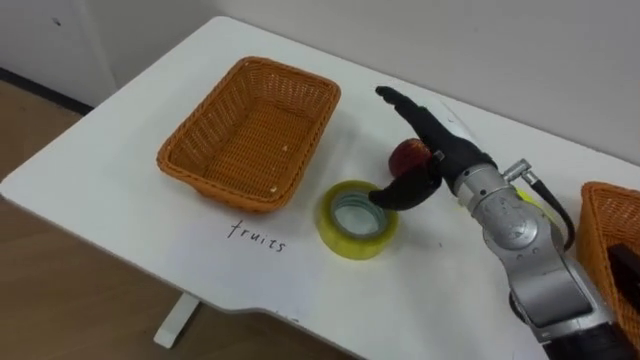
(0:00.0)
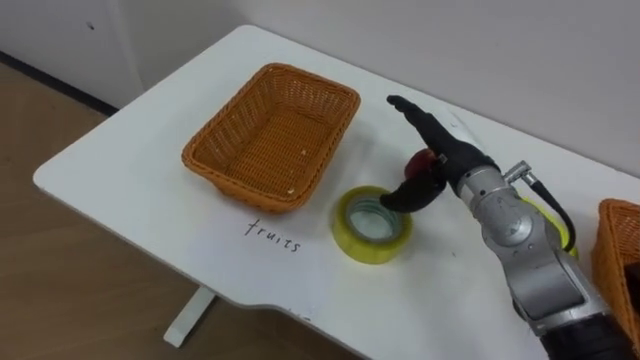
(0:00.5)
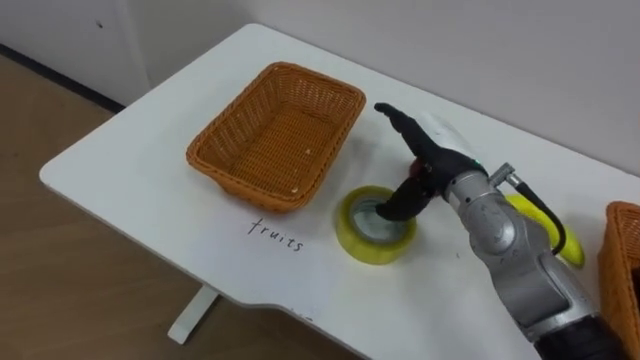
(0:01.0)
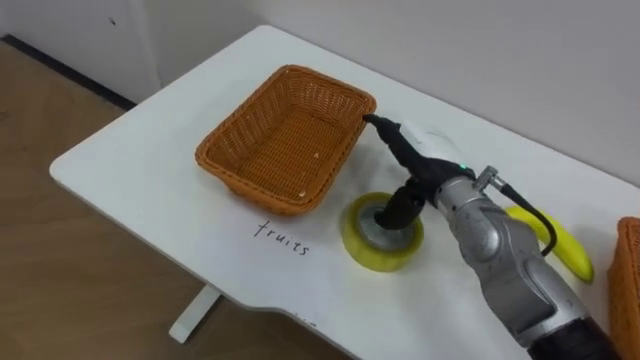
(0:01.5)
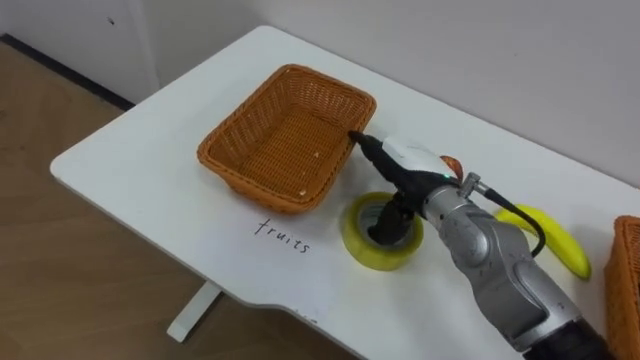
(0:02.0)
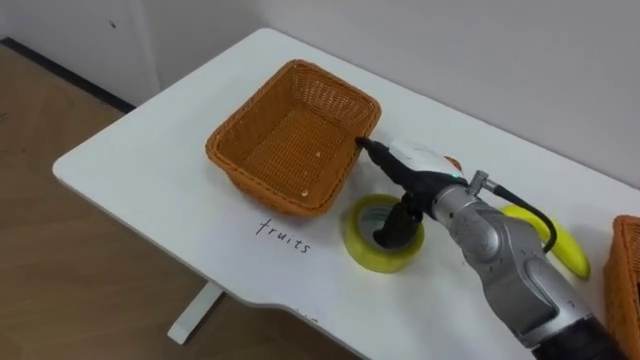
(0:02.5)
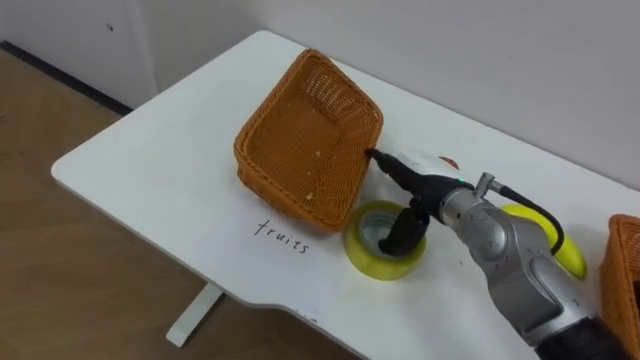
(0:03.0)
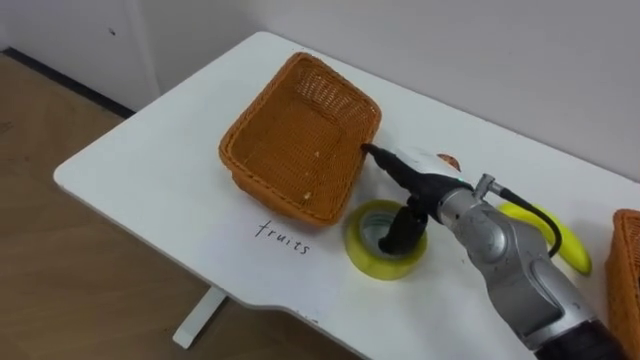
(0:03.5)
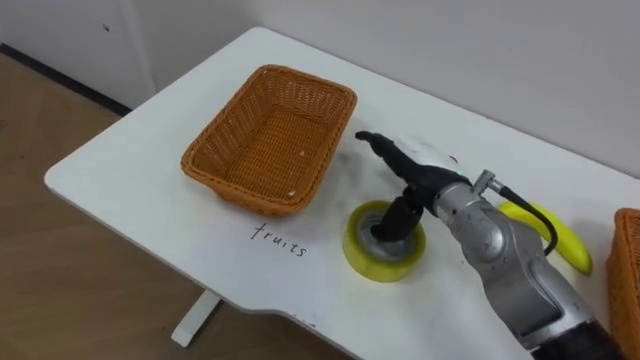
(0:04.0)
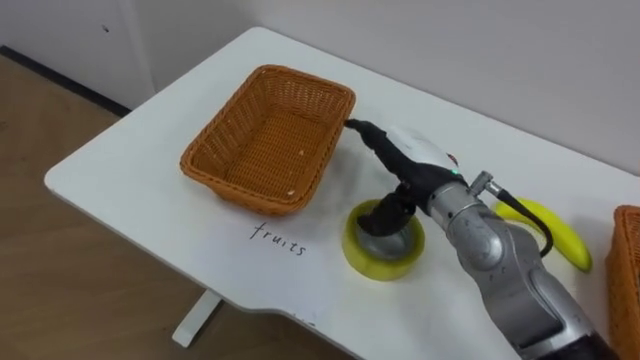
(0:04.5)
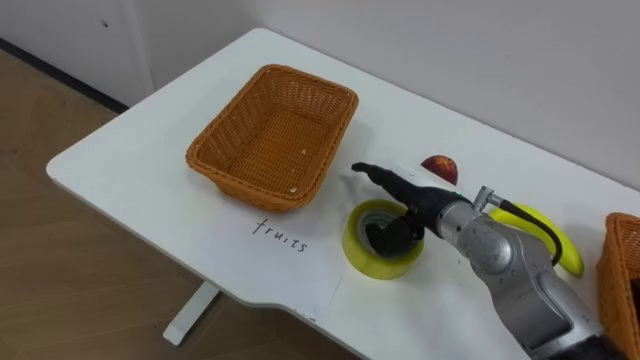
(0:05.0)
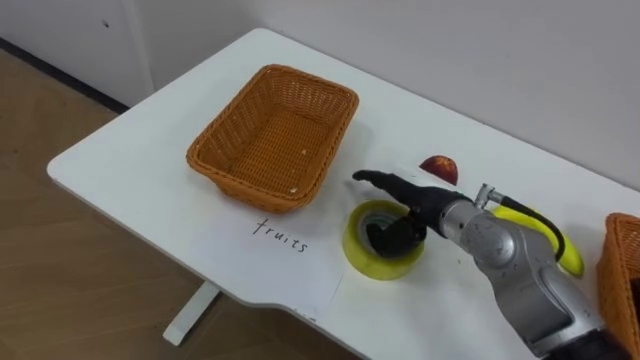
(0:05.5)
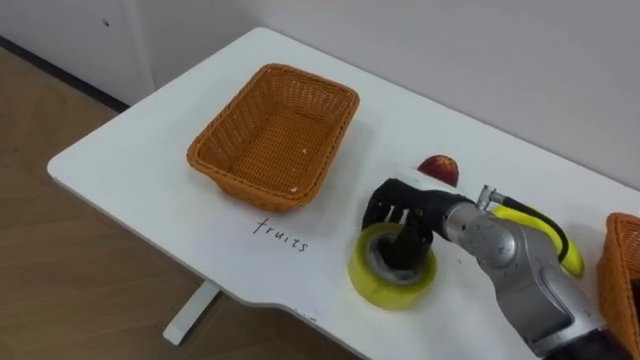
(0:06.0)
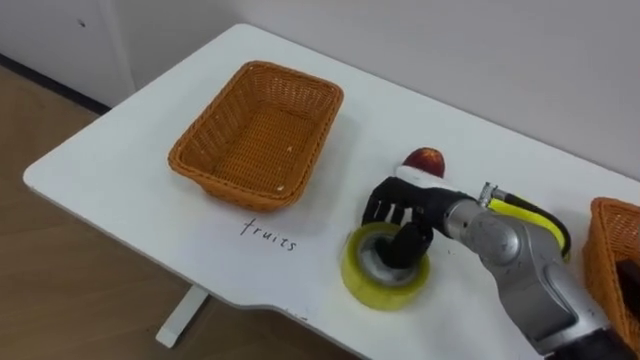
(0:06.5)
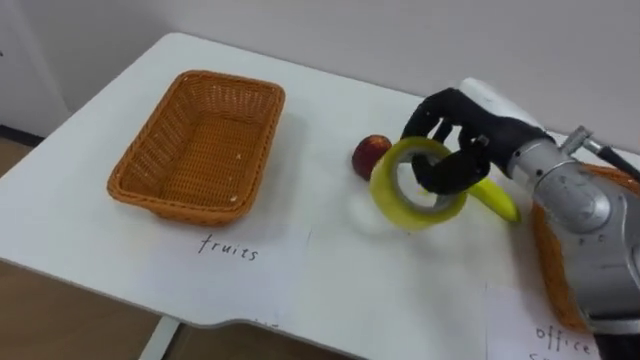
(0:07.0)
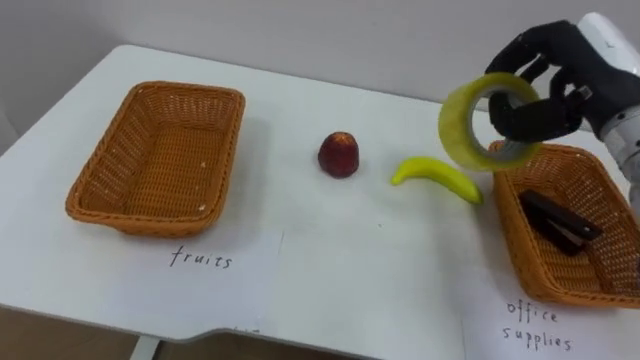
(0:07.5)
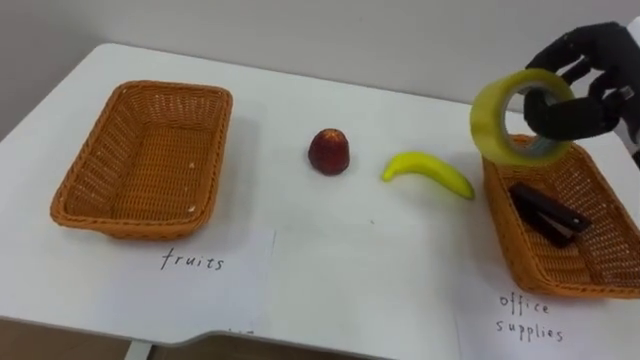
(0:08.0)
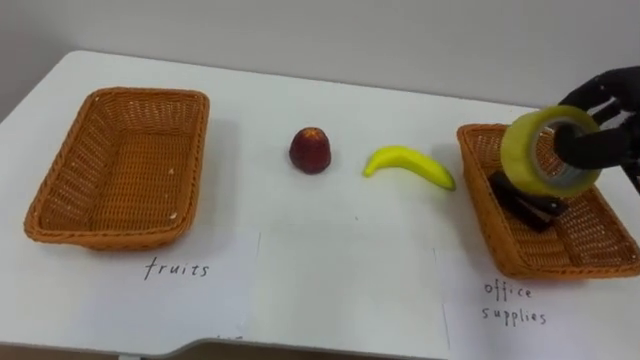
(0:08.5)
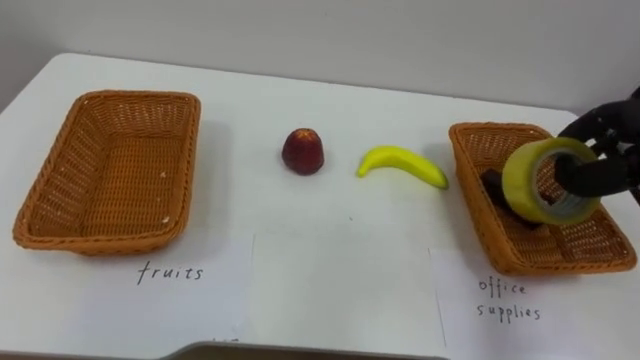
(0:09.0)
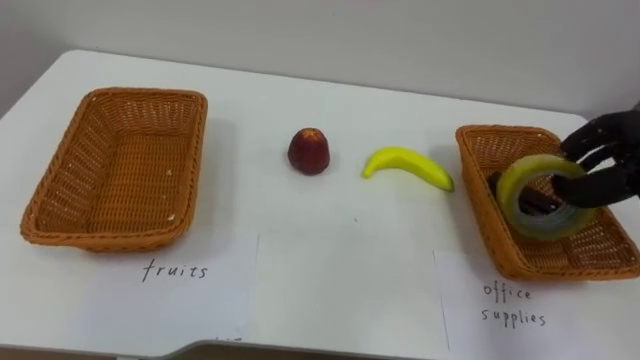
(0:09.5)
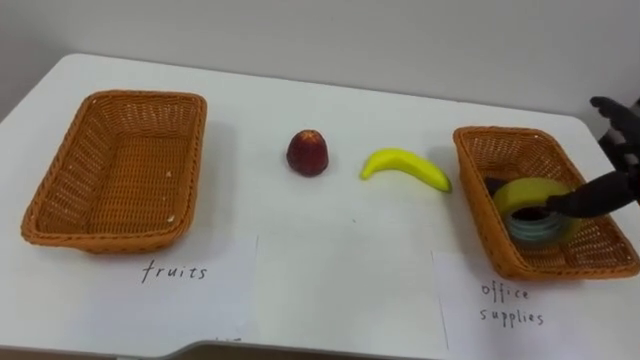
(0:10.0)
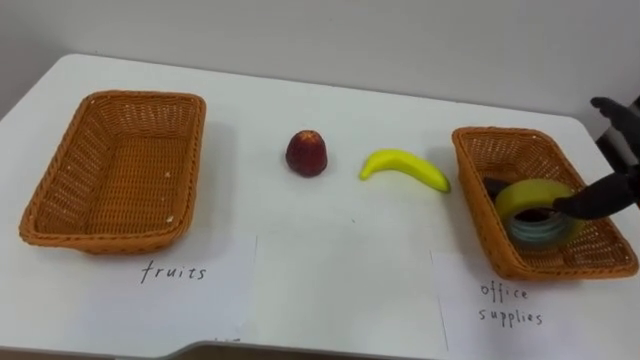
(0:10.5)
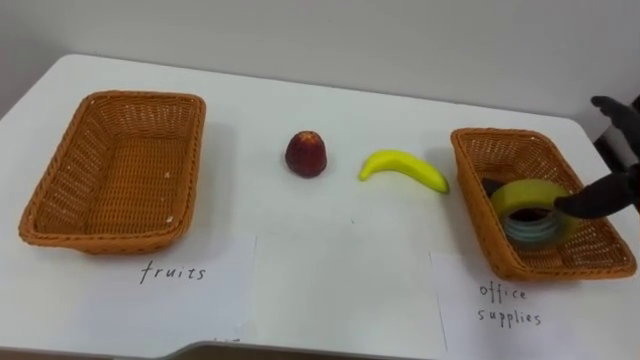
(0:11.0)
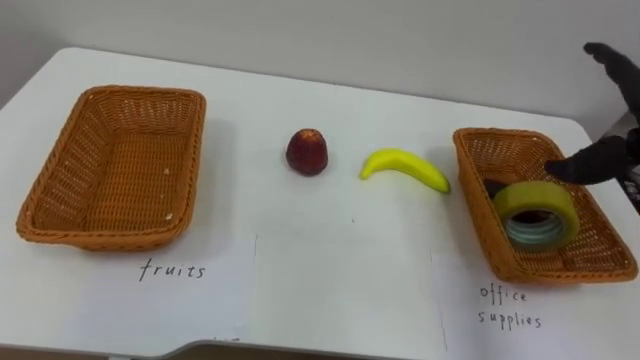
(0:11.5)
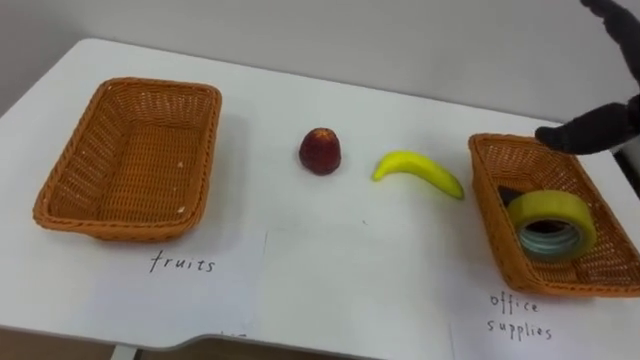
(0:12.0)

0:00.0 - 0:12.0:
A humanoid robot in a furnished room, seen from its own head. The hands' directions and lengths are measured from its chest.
Task of the whole recording: Separate the items on the table and place them into the two baskets.
0:00.0 - 0:02.0: The right hand moves roughly 5 cm.
0:04.0 - 0:06.0: The right hand closes up.
0:06.0 - 0:08.0: The right hand heads to the right and upward, covering approximately 25 cm.

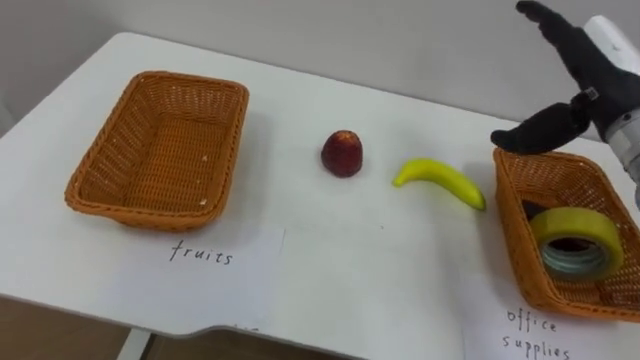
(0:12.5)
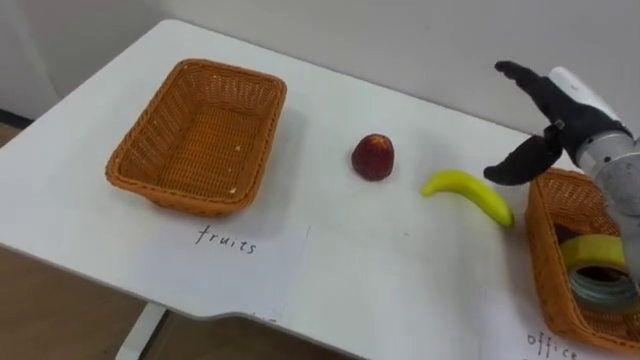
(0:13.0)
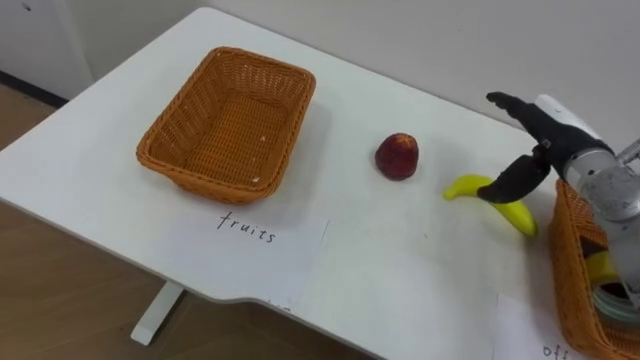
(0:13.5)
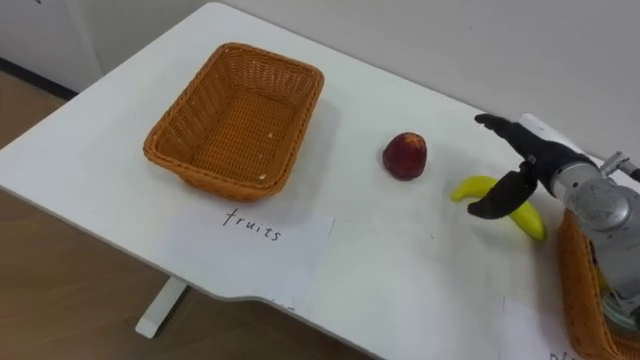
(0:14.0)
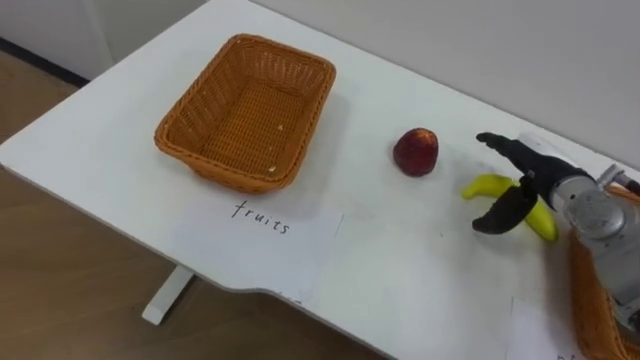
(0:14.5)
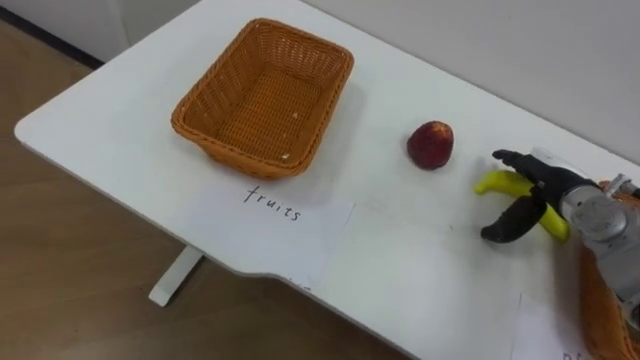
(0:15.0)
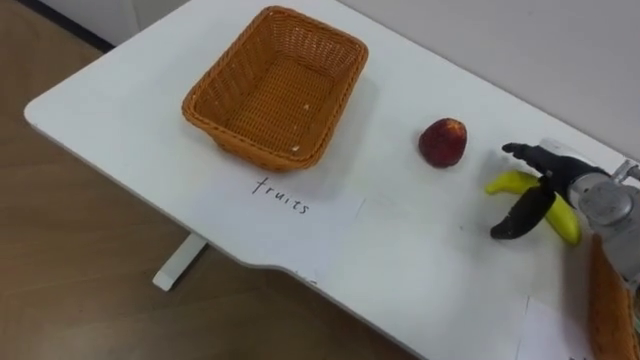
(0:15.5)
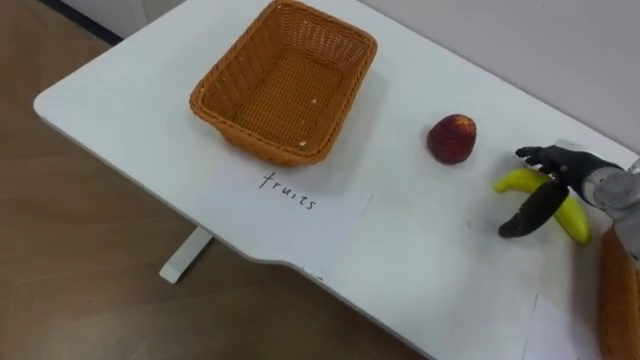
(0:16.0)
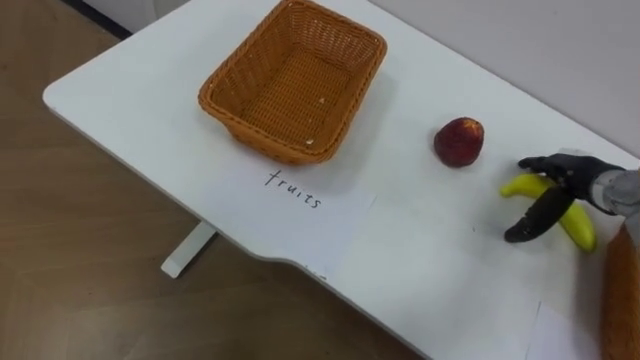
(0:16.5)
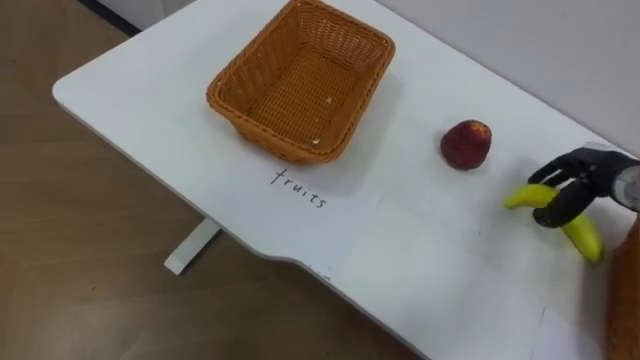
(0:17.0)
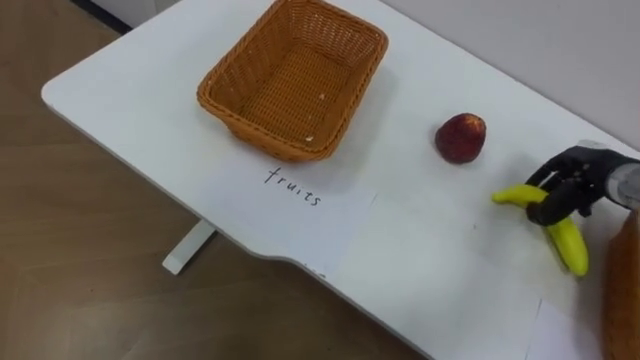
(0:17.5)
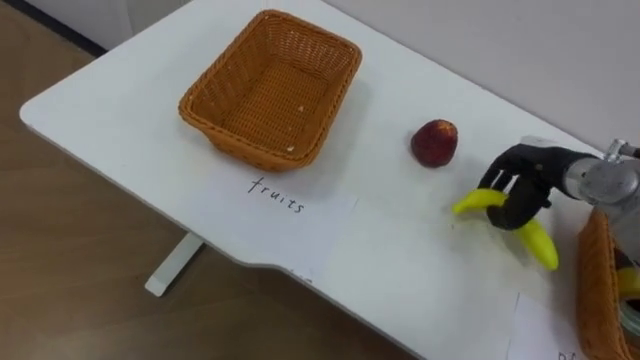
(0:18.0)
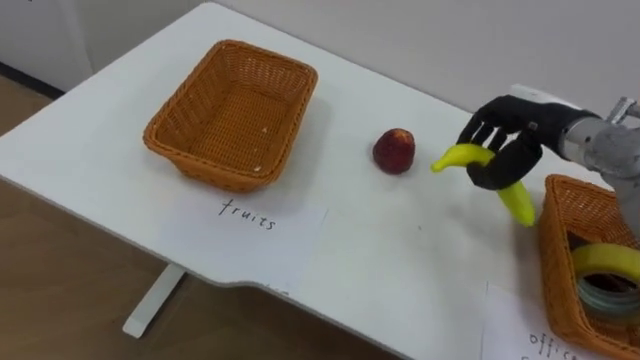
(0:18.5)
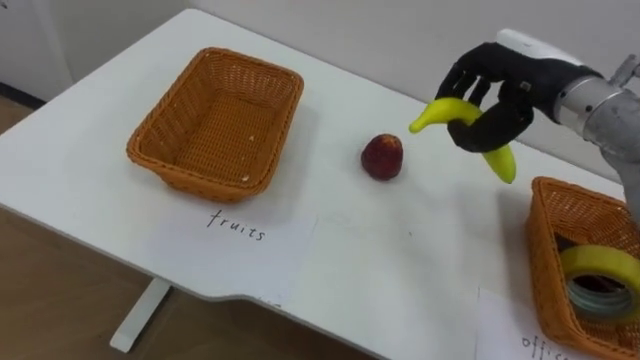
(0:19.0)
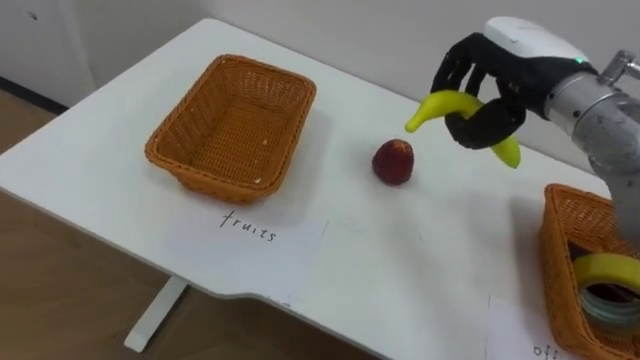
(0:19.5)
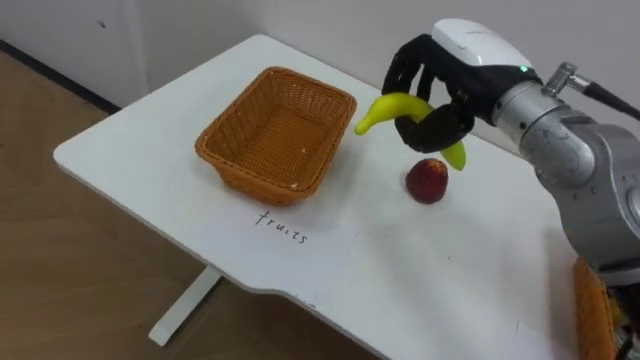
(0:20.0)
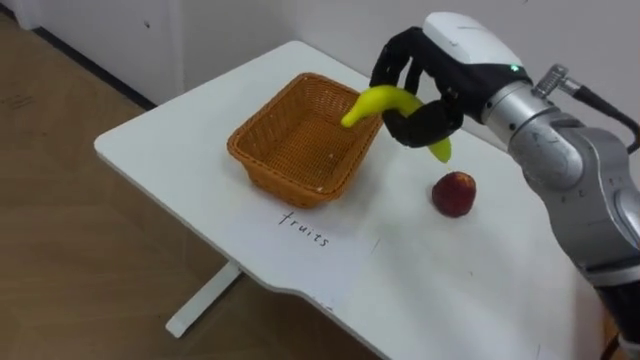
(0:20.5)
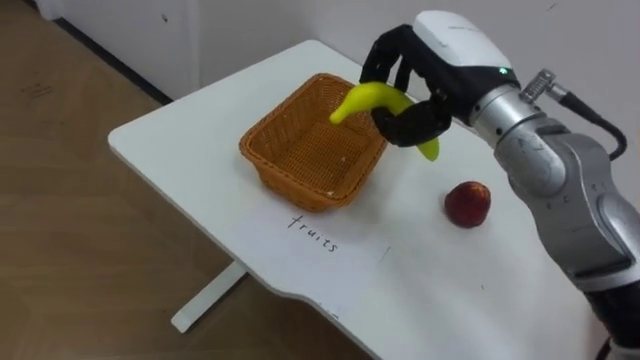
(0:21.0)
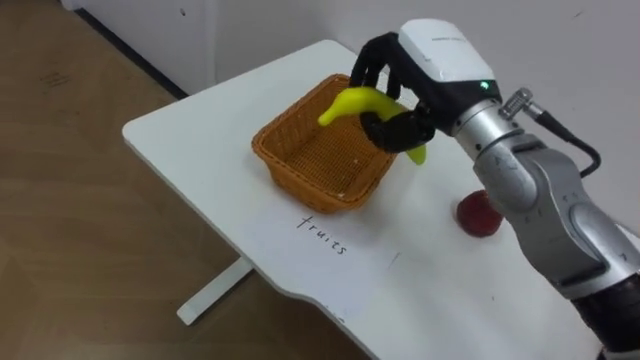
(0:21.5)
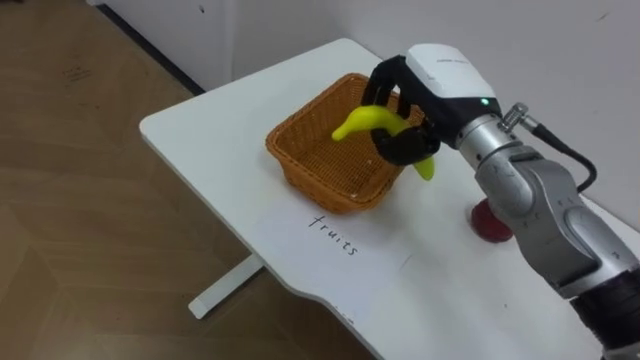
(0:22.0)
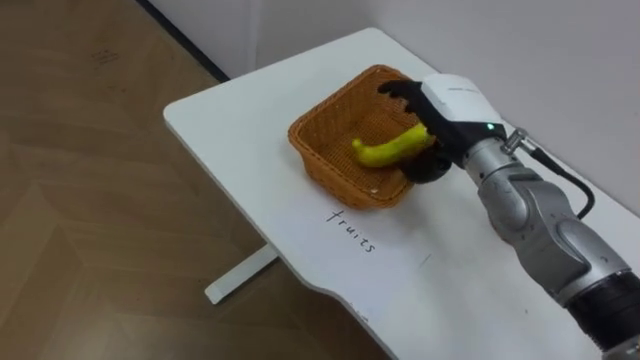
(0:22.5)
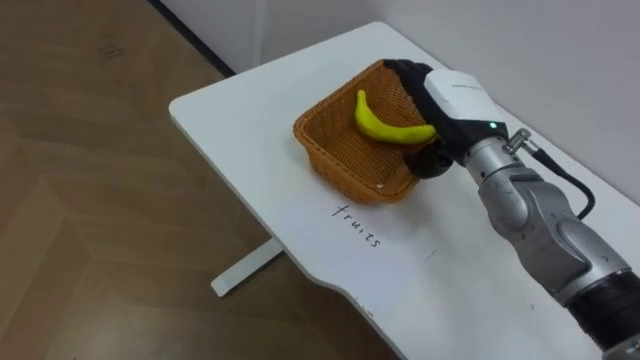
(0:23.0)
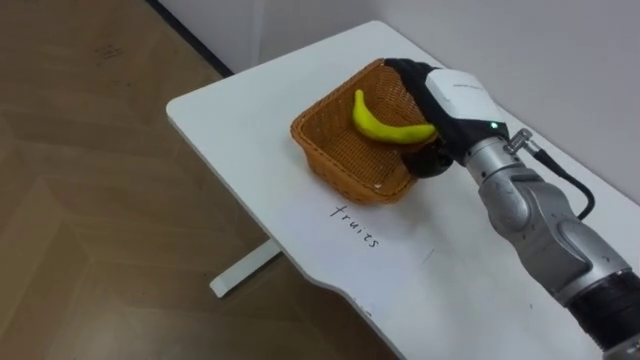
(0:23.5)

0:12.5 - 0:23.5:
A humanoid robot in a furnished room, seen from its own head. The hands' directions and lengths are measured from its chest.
Task of the whole recording: Separate the items on the table and place them into the two baskets.
0:12.5 - 0:14.5: The right hand shifts about 15 cm downward.
0:14.5 - 0:16.0: The right hand heads to the right, covering some 5 cm.
0:16.0 - 0:18.0: The right hand closes its fingers.
0:18.0 - 0:20.0: The right hand travels upward and to the left by about 20 cm.
0:21.5 - 0:23.5: The right hand travels downward by approximately 10 cm, and opens its fingers.
